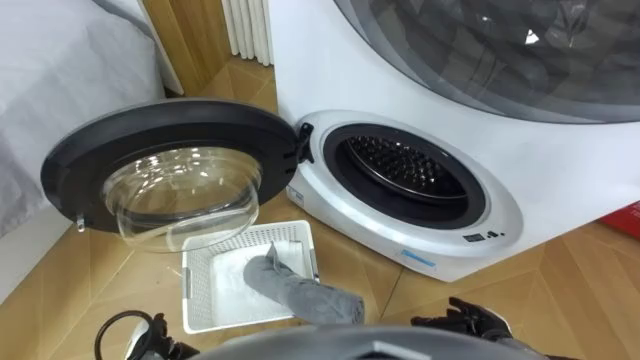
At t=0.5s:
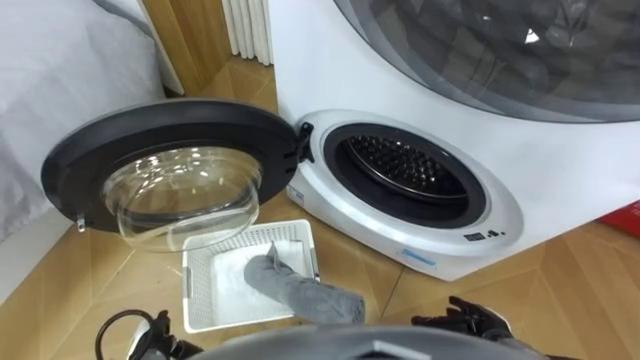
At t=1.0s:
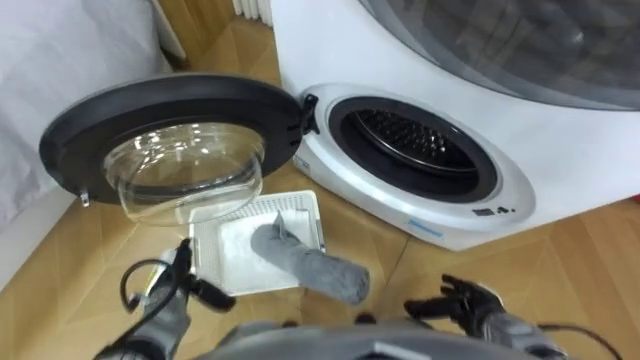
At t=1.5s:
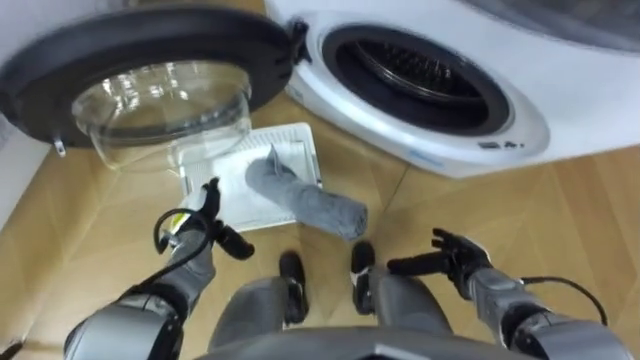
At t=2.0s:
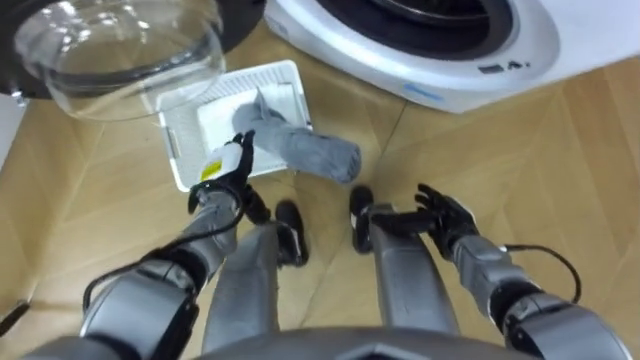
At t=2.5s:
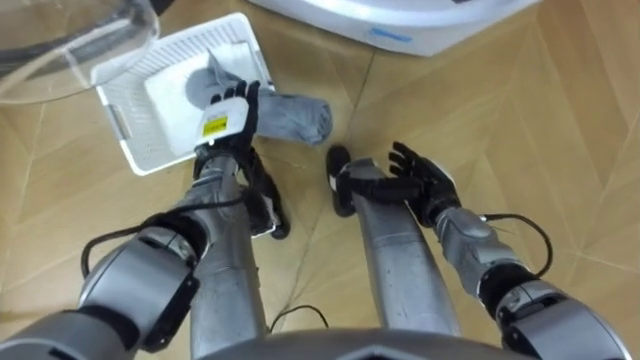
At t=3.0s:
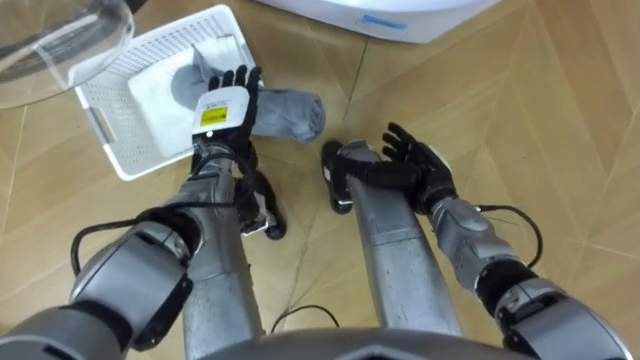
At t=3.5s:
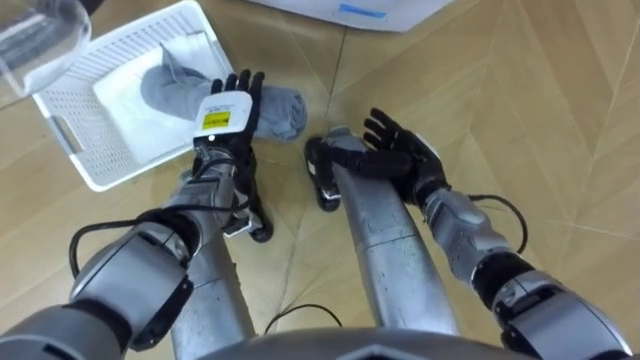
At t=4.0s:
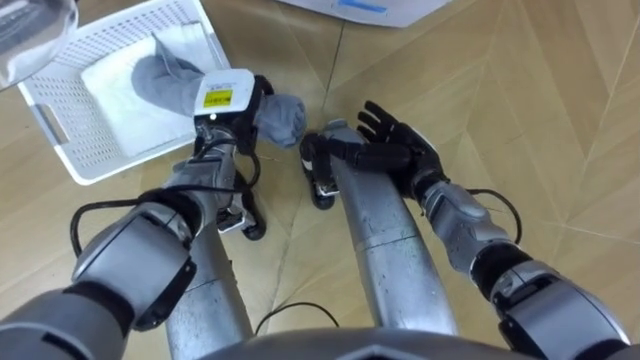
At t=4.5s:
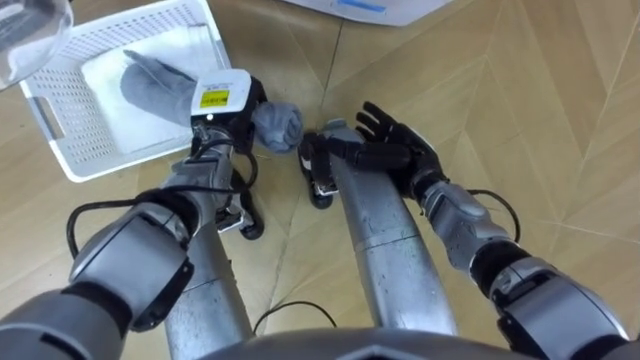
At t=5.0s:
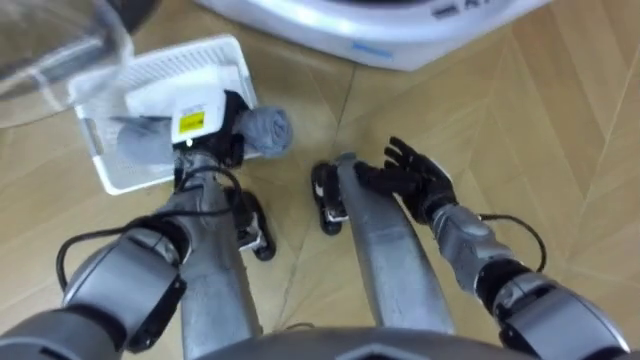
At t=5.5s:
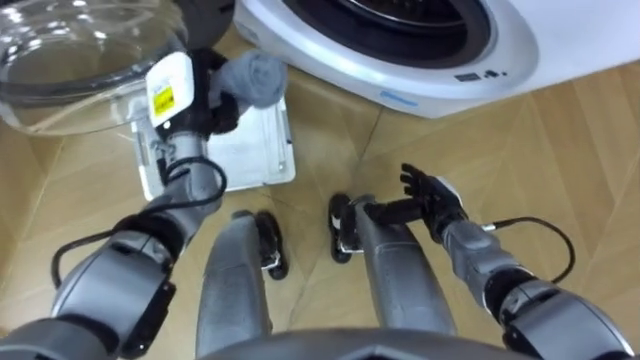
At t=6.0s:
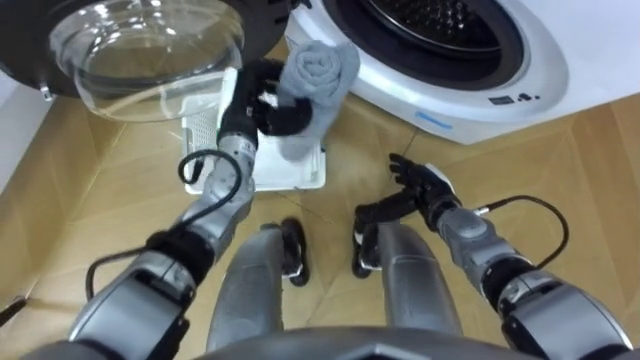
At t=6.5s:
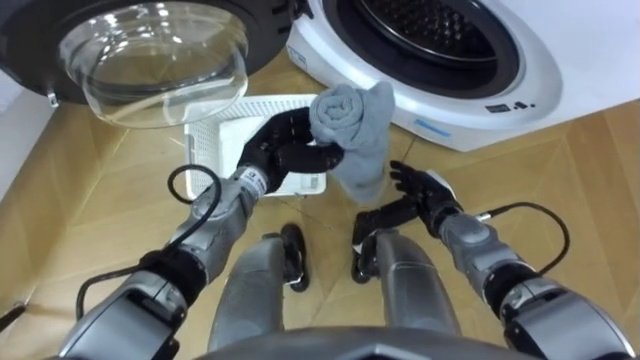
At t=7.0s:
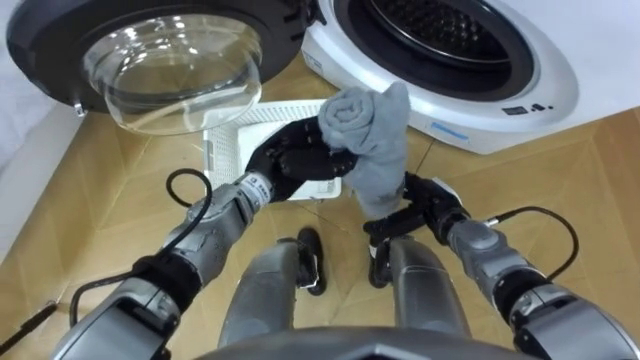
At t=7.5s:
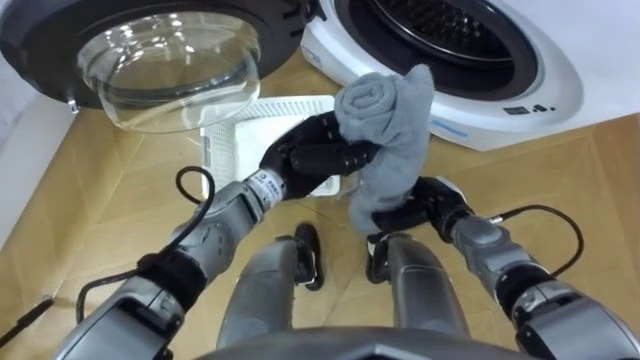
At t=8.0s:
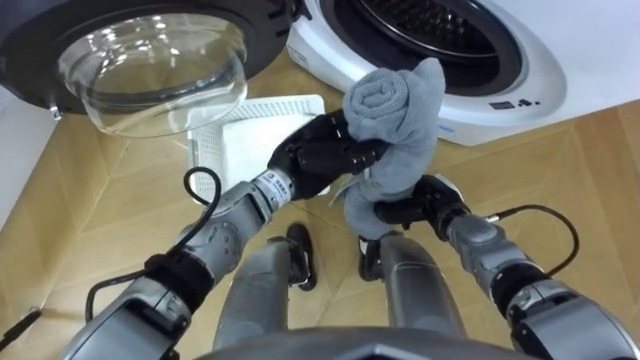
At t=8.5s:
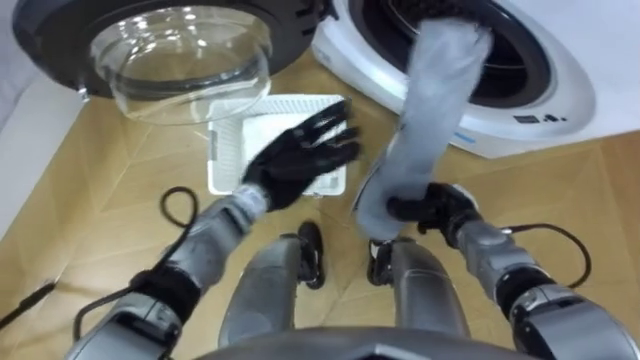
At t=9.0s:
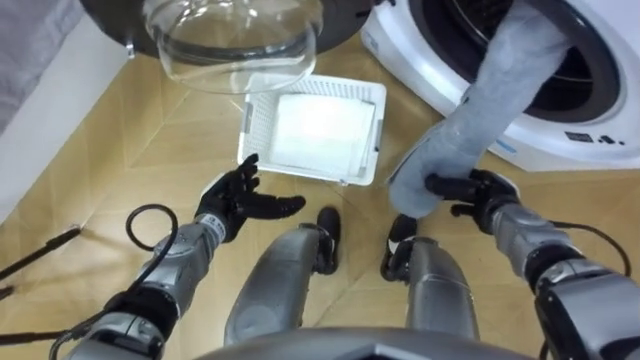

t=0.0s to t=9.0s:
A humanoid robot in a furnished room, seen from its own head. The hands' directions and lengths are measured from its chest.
Task of the whole recording: Take the towel from the basket and put it into the washing machine.
t=2.0s to t=4.5s: The left hand goes about 10 cm upward and forward, and closes; the right hand goes roughly 15 cm forward, to the left and upward.
t=4.5s to t=7.0s: The right hand shifts about 10 cm to the right, downward and backward. The left hand moves to the right and backward, approximately 10 cm.
t=7.0s to t=9.0s: The left hand heads to the left and downward, covering roughly 10 cm, and opens. Meanwhile the right hand travels to the right by roughly 10 cm, and closes up.

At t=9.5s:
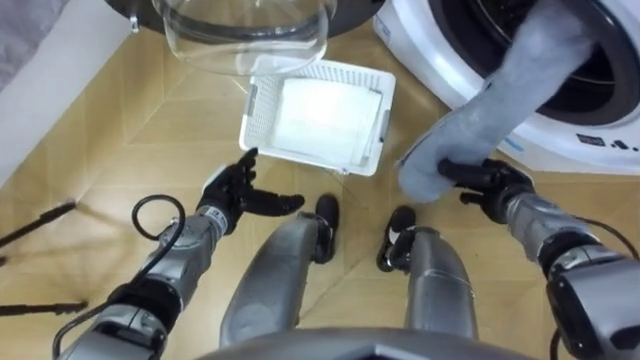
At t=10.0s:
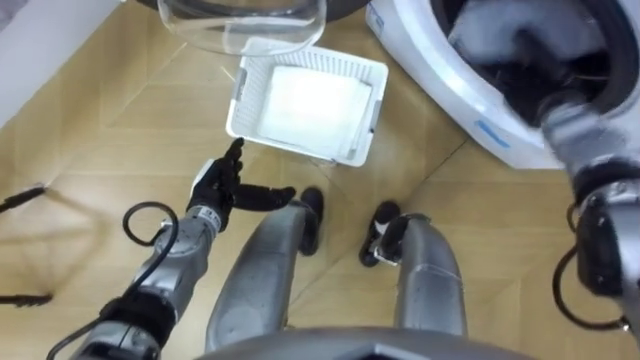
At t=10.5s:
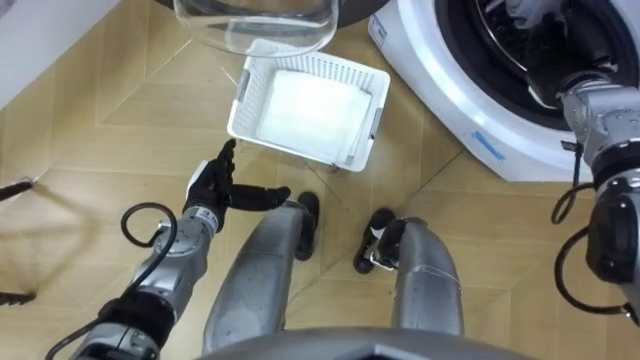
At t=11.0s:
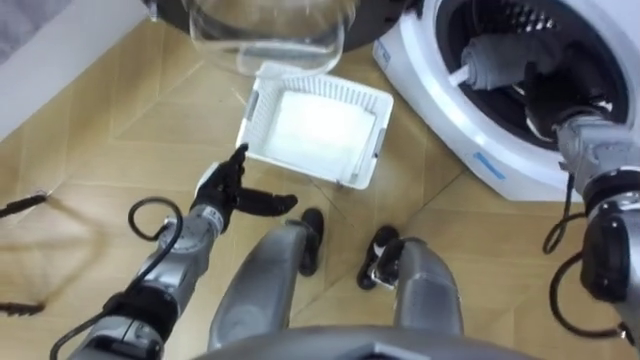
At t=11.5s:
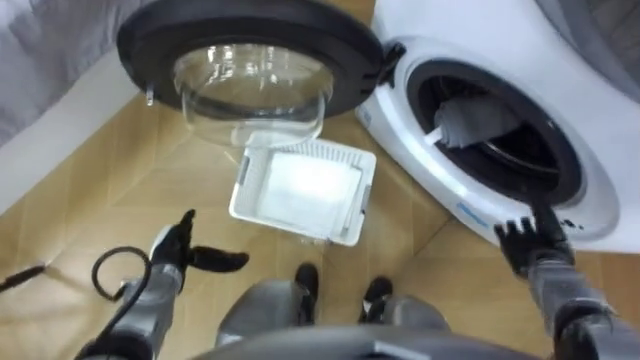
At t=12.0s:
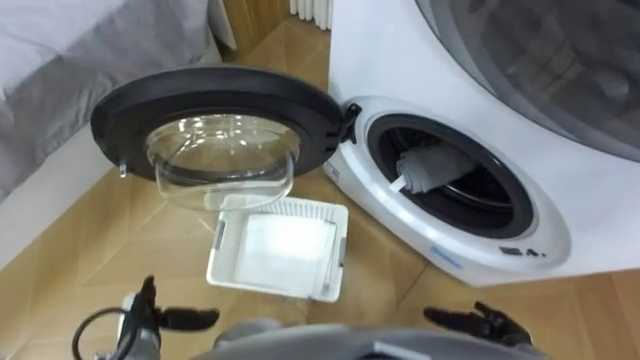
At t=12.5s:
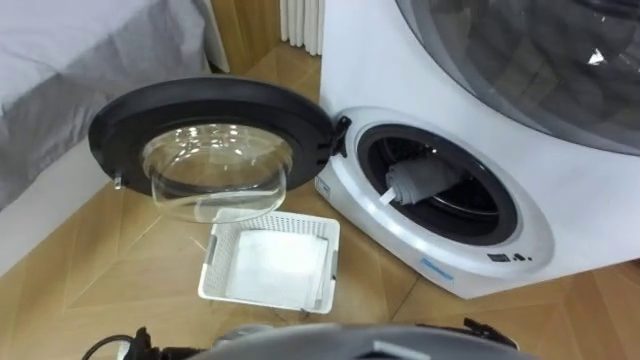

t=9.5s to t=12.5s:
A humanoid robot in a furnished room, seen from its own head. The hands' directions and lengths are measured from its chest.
Task of the whole recording: Take the towel from the basket and put it into the washing machine.
t=9.5s to t=11.0s: The right hand moves upward, forward and to the right, approximately 15 cm, and opens up.
t=11.0s to t=12.5s: The right hand is displaced backward and downward by about 35 cm.

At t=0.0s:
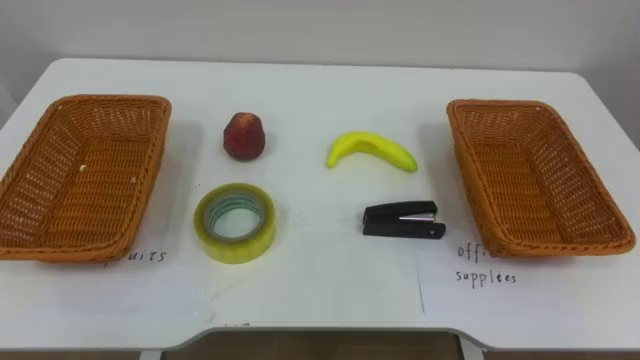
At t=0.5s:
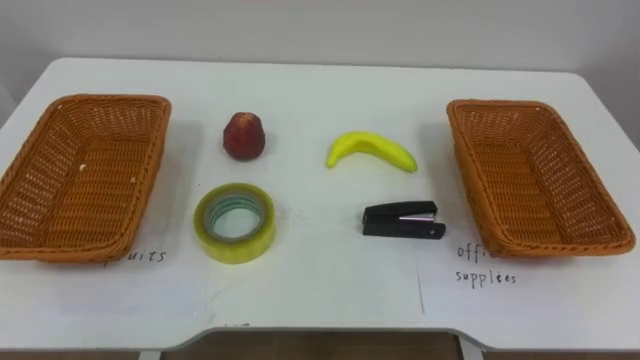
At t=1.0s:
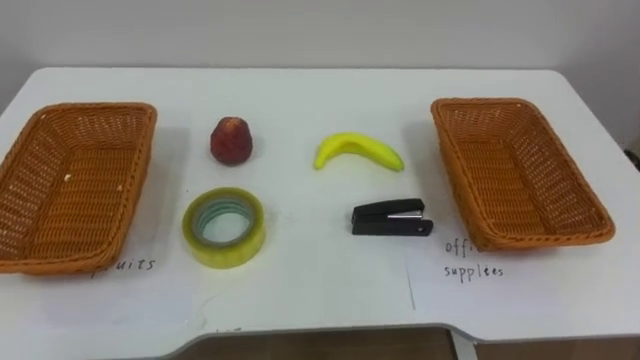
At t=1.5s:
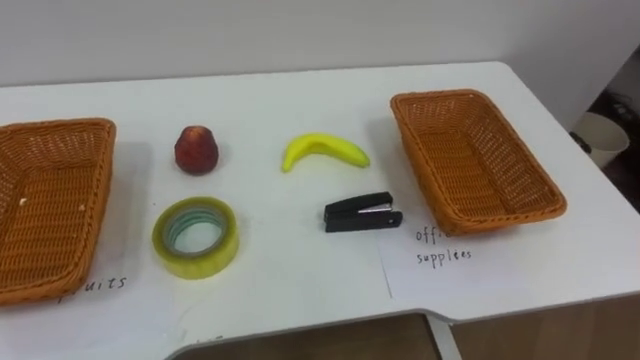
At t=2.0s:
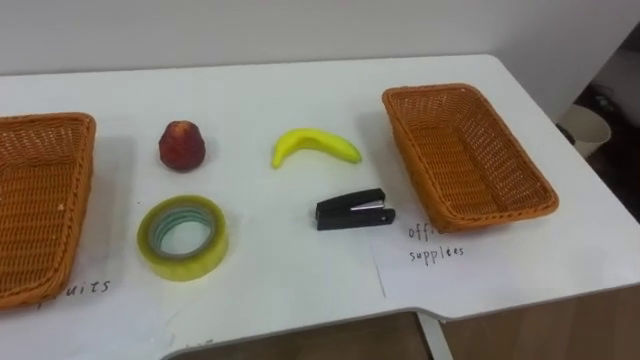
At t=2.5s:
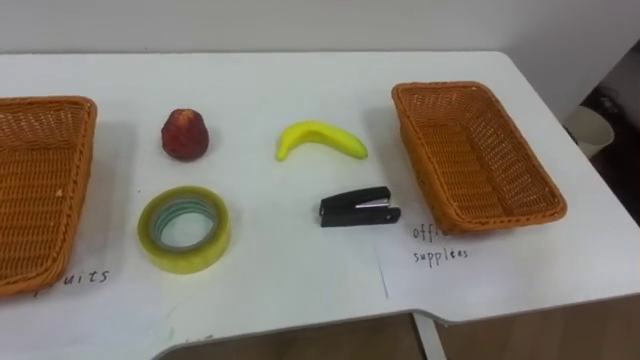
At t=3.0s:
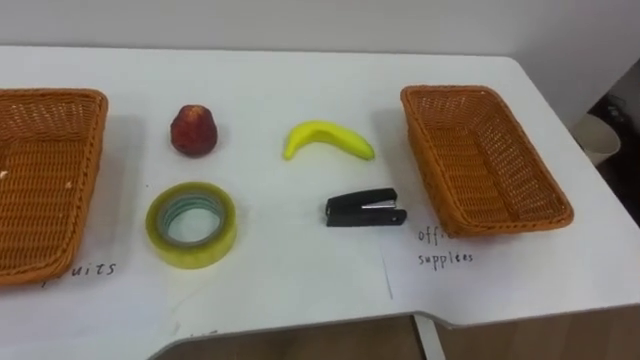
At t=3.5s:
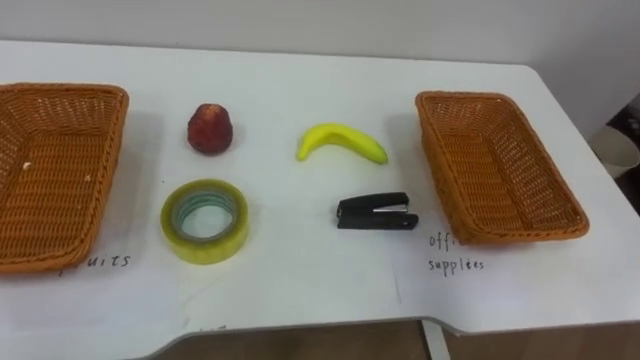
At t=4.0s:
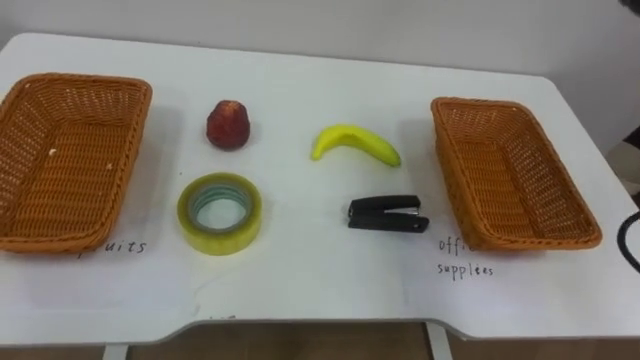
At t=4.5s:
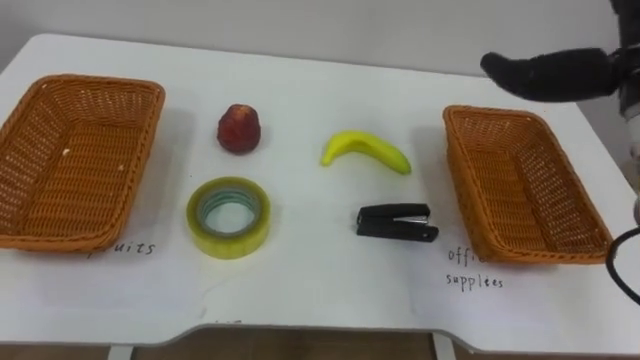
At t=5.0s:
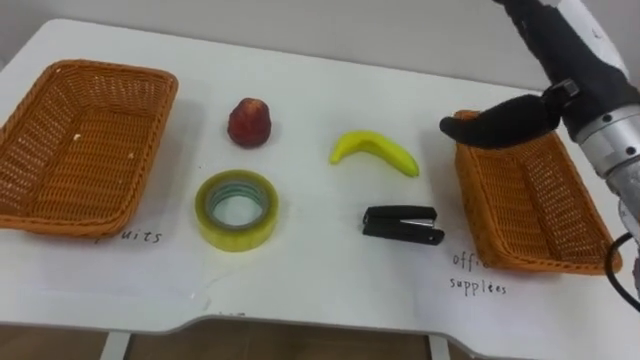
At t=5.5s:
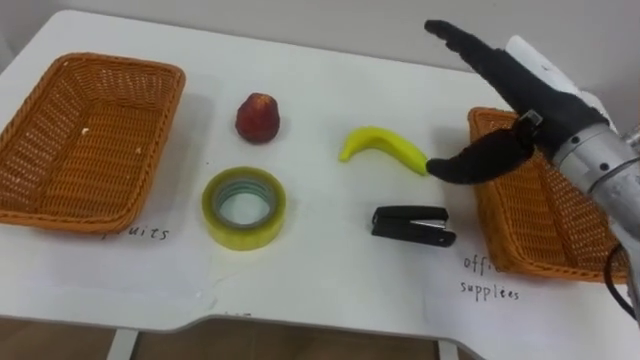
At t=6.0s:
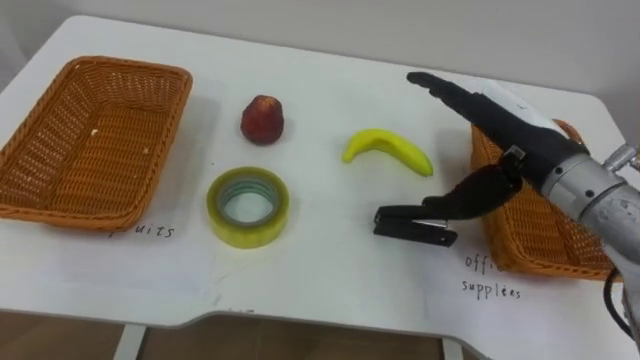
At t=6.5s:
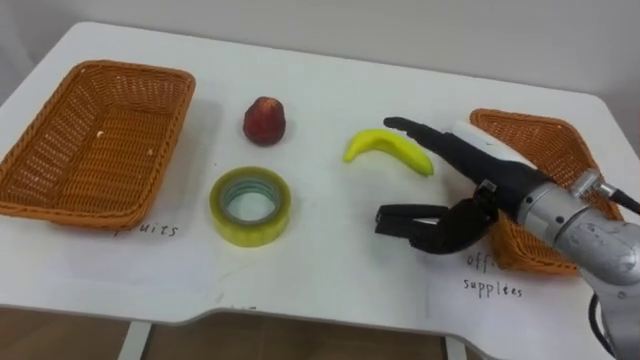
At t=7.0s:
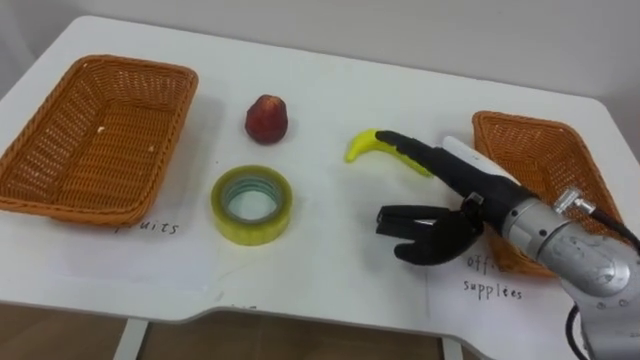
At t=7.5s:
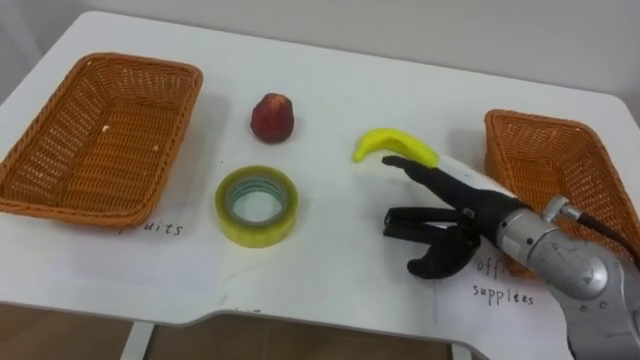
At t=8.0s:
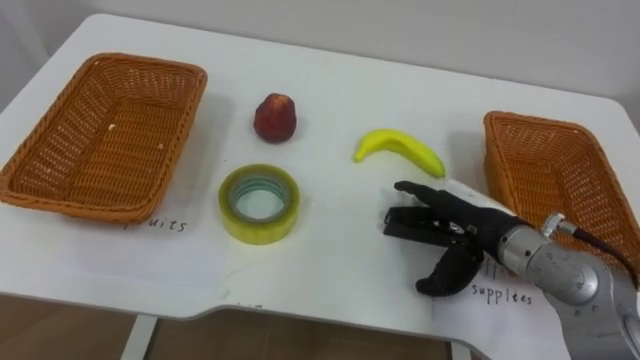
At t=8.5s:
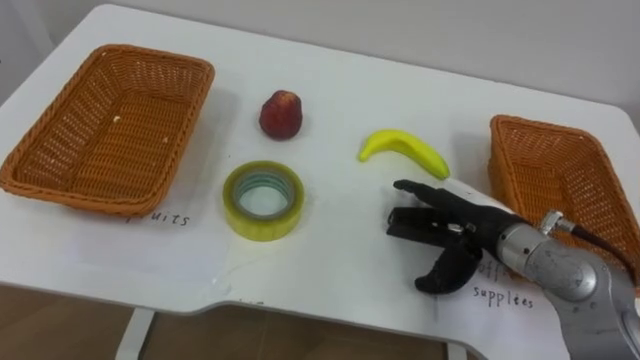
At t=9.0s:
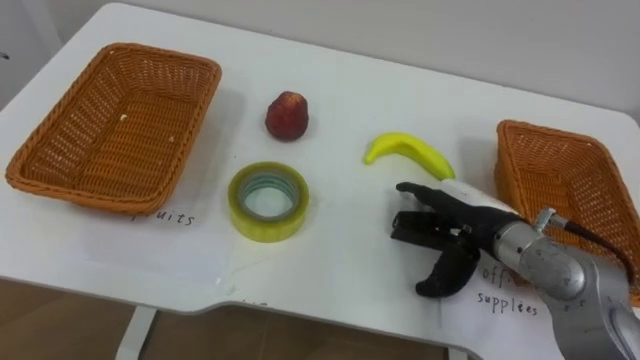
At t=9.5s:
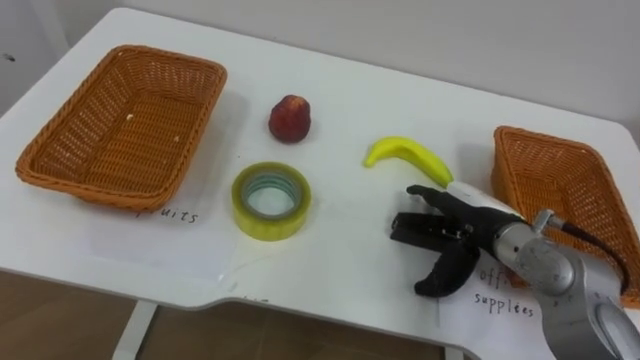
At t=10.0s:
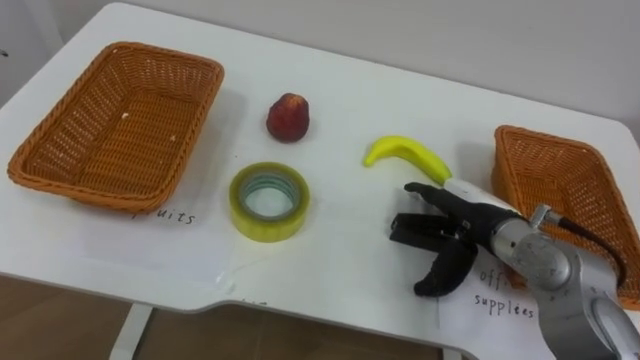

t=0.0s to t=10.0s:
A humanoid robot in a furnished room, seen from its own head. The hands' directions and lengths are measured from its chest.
Task of the whole recording: Separate the items on the table and place them into the two baskets.
t=6.0s to t=8.0s: The right hand heads downward, covering roughly 10 cm.
